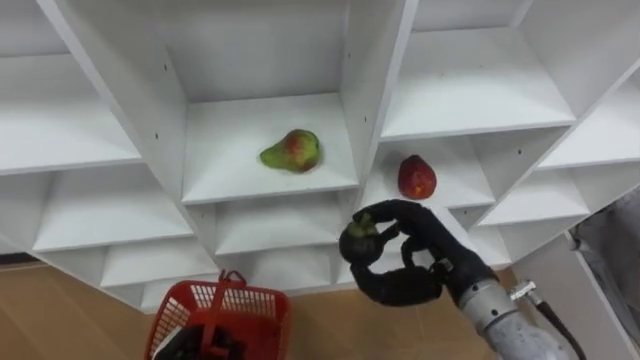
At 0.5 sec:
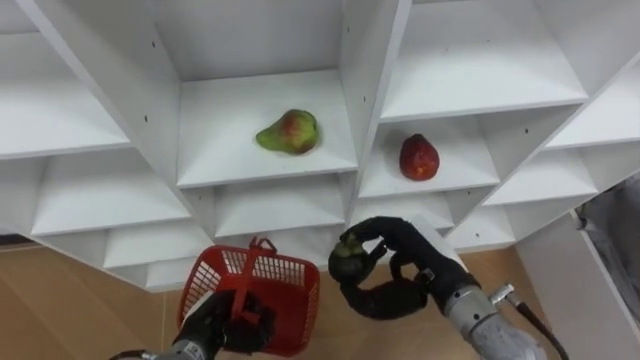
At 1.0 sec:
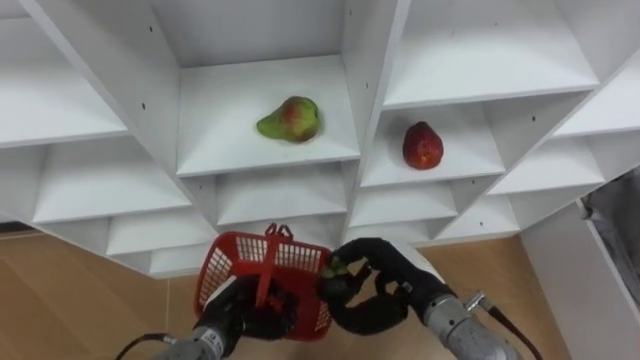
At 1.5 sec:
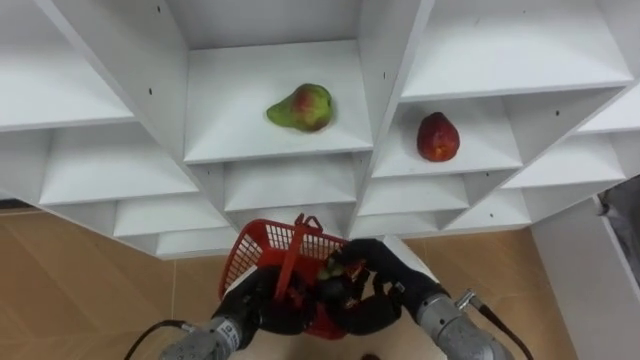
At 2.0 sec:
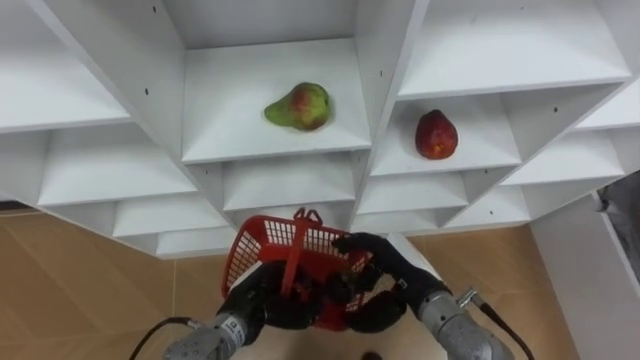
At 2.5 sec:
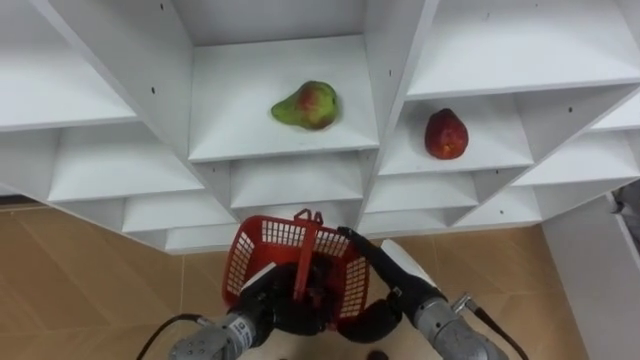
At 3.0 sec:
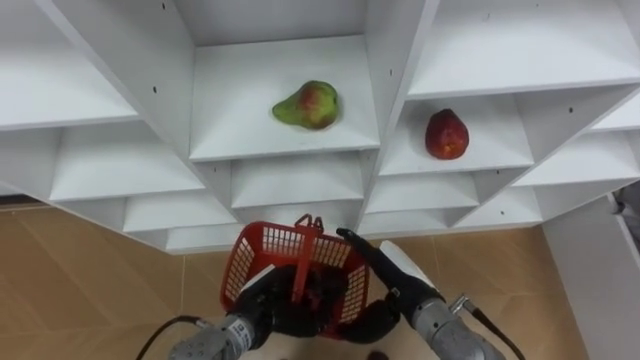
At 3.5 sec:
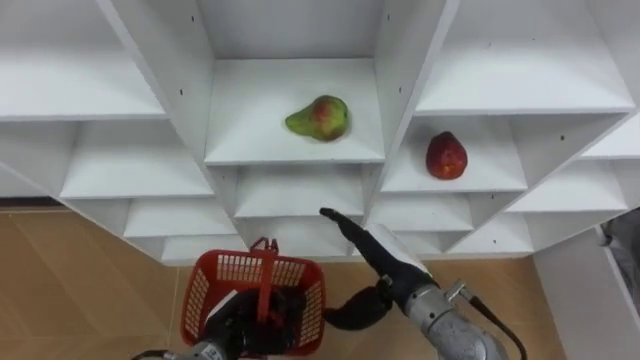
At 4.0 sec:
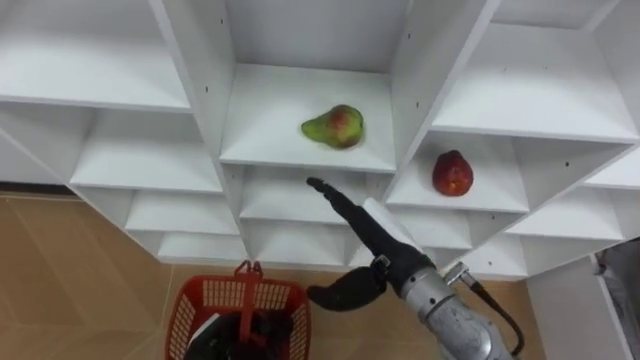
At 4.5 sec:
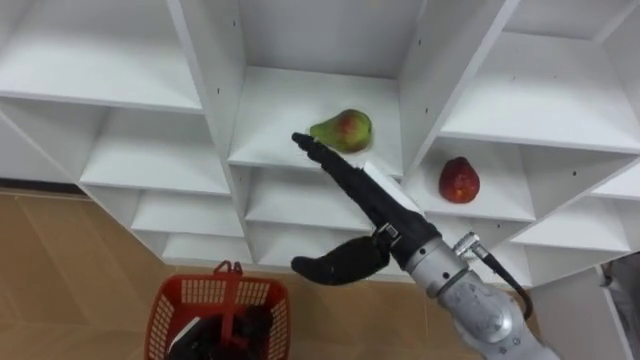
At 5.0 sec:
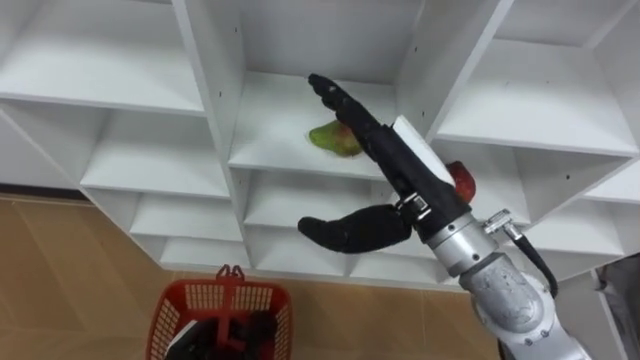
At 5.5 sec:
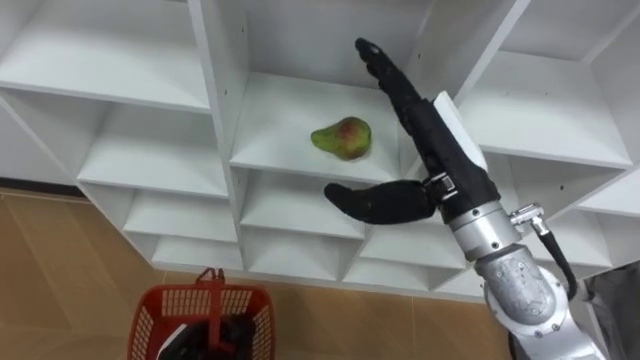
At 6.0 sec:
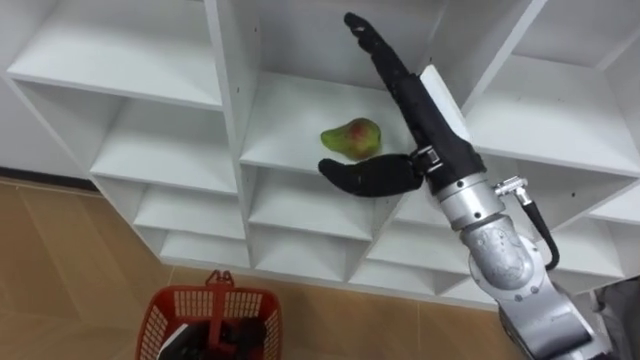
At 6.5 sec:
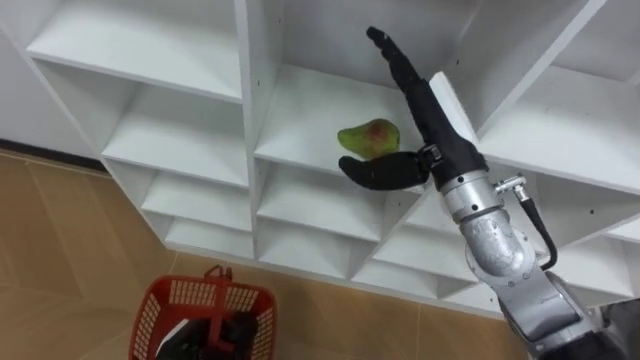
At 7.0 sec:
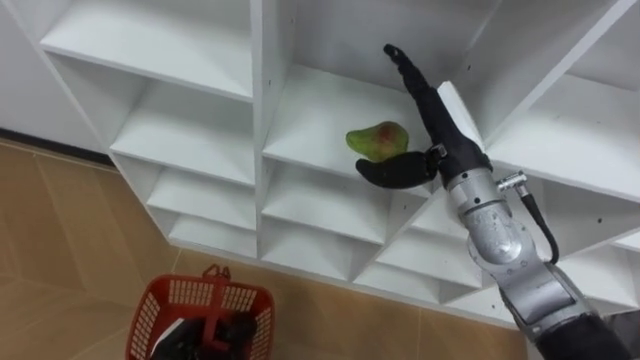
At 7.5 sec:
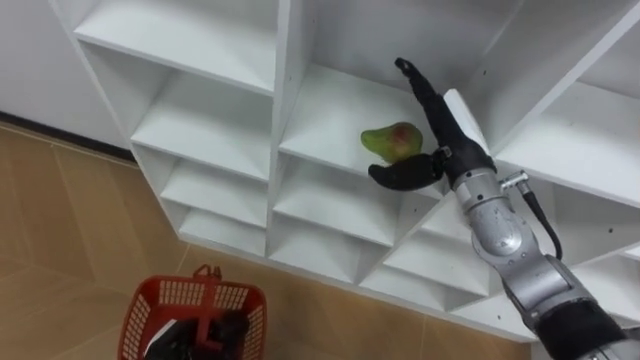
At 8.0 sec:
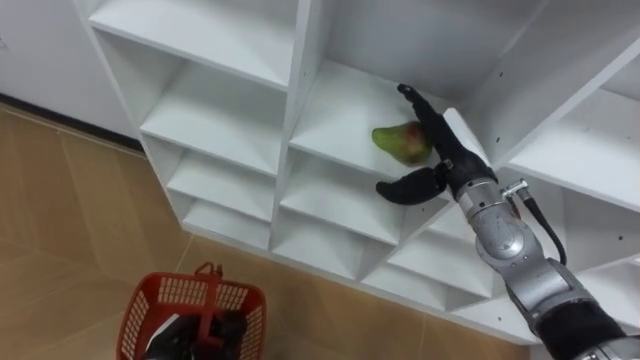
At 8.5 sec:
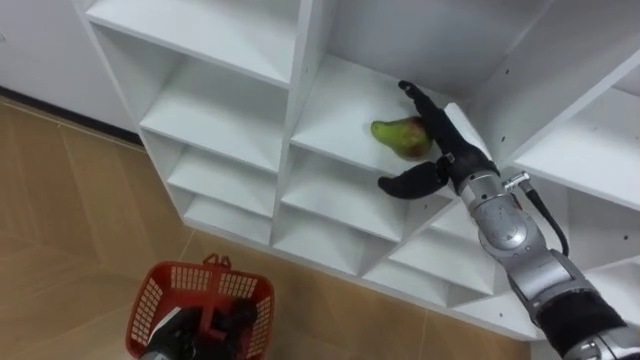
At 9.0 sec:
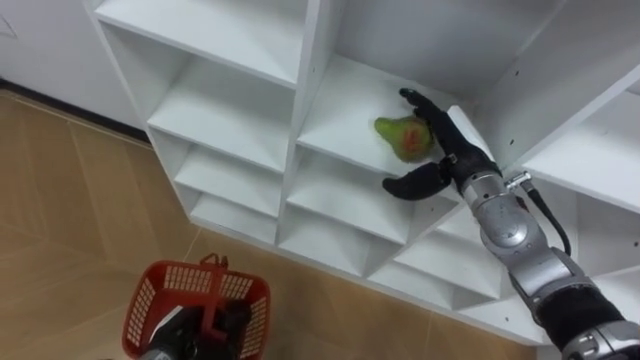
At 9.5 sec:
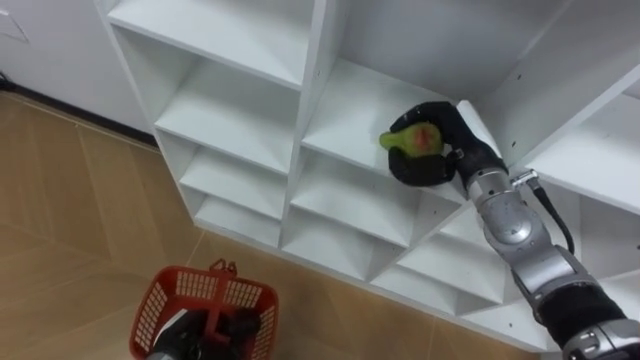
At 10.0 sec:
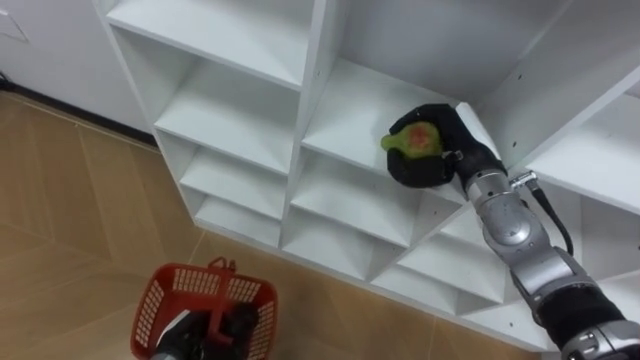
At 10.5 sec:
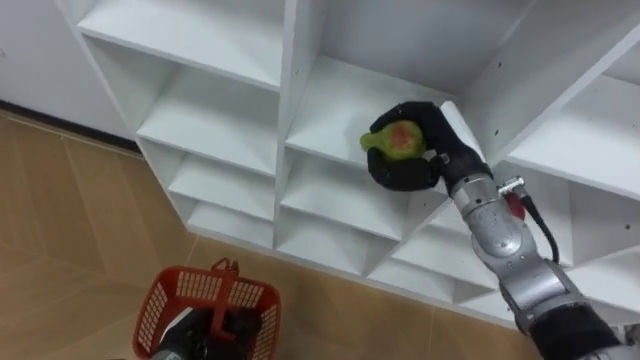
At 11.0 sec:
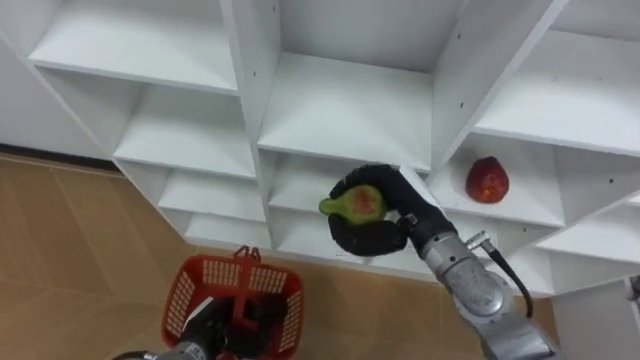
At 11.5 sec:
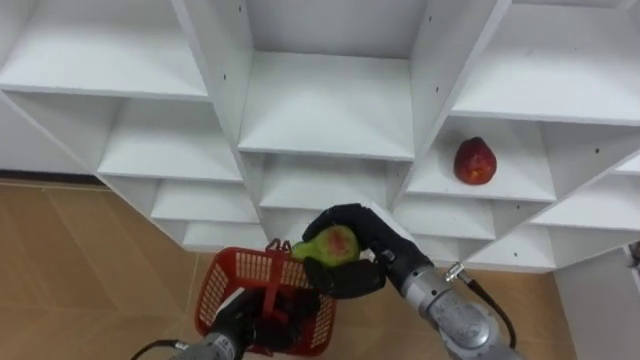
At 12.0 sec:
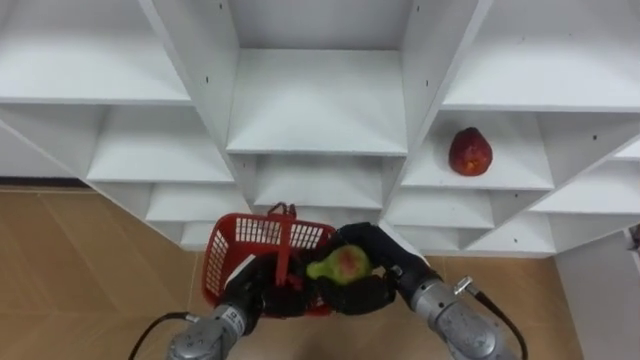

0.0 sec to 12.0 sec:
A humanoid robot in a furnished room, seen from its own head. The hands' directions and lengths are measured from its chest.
Task of the whole recording: Hold the basket and collect the fruits from 3 different cells of the closet into it.
0.0 sec to 2.0 sec: The right hand travels downward by roughly 5 cm.
2.0 sec to 4.0 sec: The right hand shifts some 5 cm upward, and opens its fingers. The left hand heads backward, to the left and downward, covering approximately 10 cm.
4.0 sec to 6.0 sec: The right hand heads upward, covering some 15 cm.
6.0 sec to 8.0 sec: The right hand is displaced downward, forward and to the right by about 15 cm.
8.0 sec to 10.0 sec: The right hand closes.
10.0 sec to 12.0 sec: The left hand travels to the right, forward and upward by roughly 15 cm; the right hand travels backward, to the left and downward by roughly 15 cm.

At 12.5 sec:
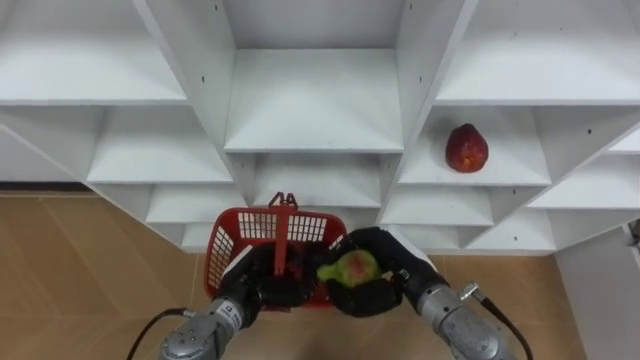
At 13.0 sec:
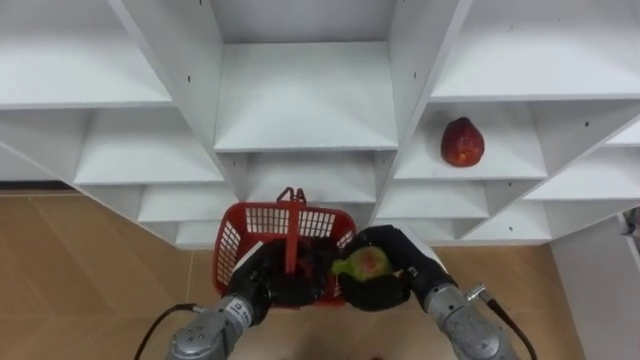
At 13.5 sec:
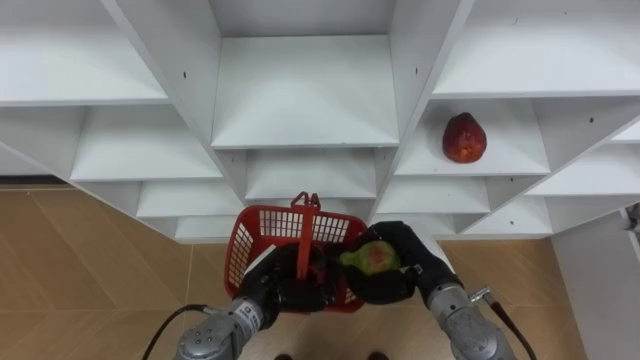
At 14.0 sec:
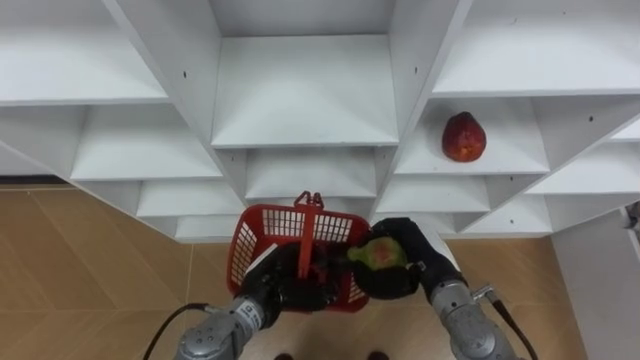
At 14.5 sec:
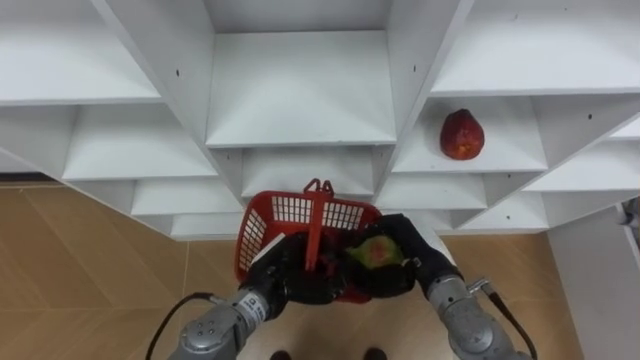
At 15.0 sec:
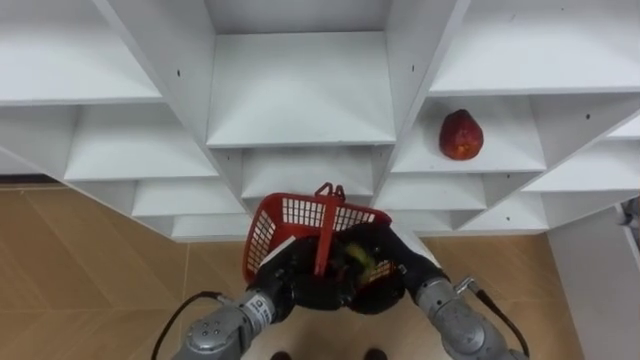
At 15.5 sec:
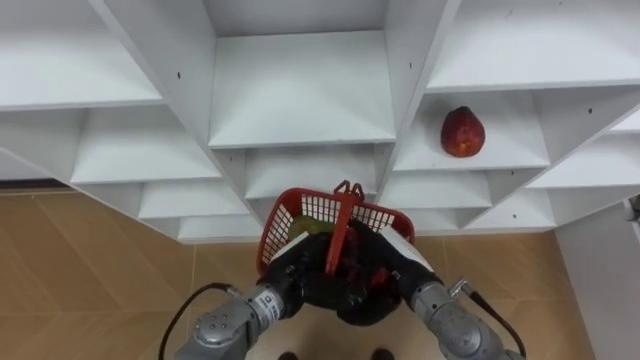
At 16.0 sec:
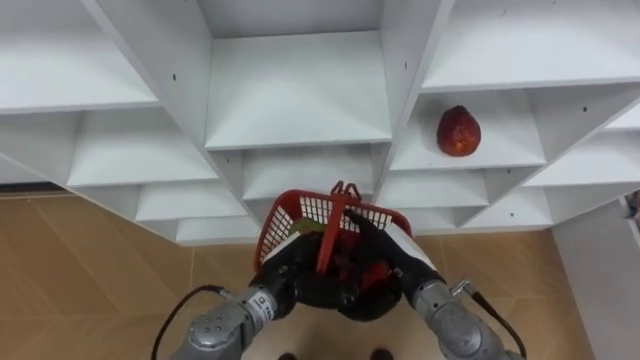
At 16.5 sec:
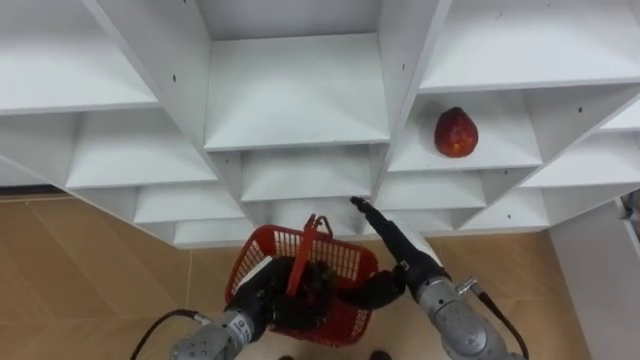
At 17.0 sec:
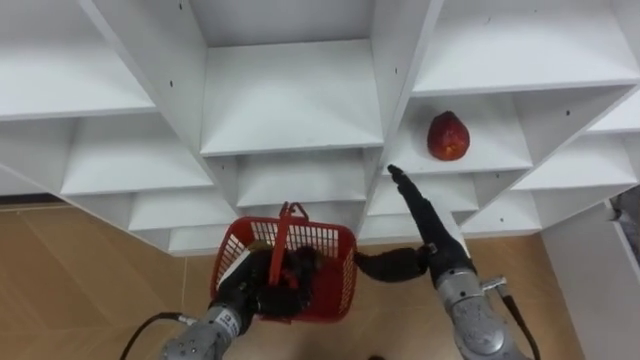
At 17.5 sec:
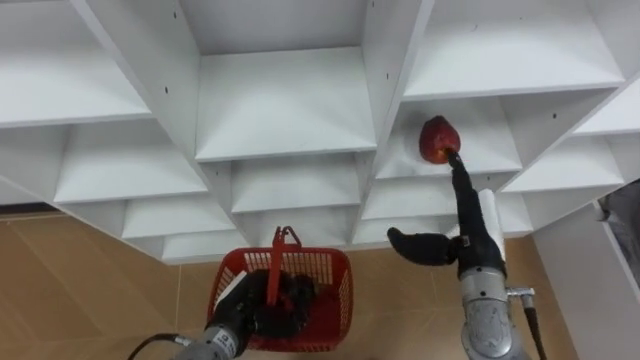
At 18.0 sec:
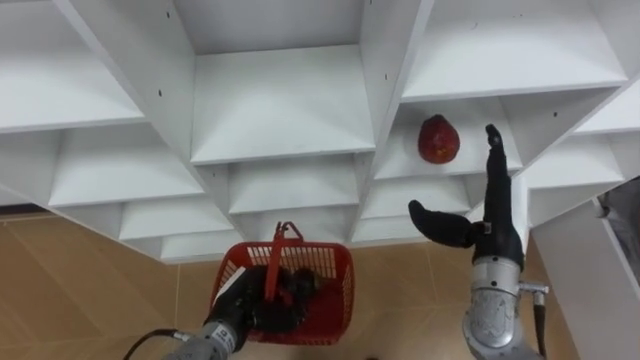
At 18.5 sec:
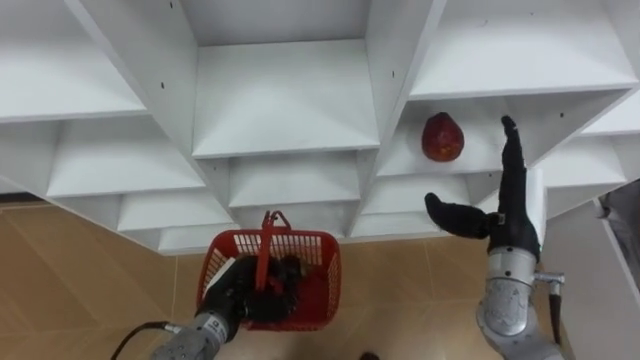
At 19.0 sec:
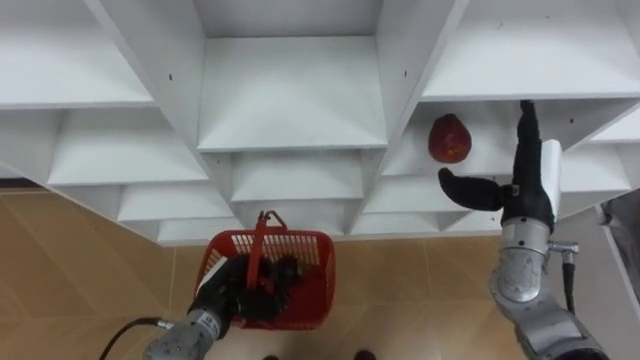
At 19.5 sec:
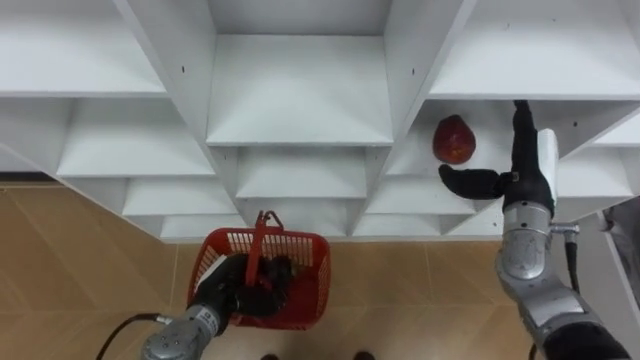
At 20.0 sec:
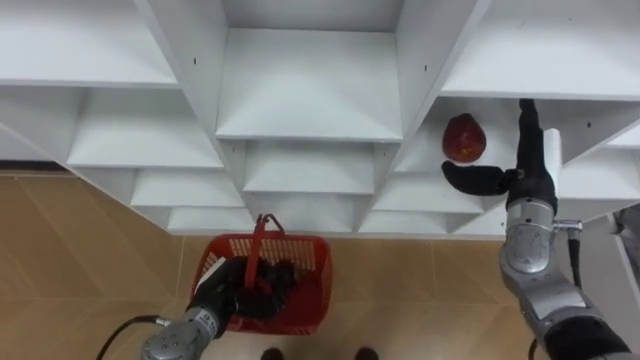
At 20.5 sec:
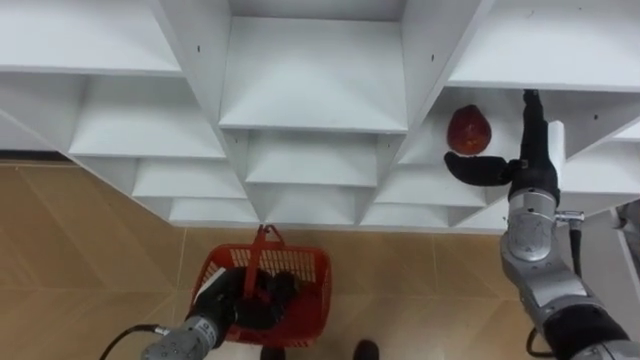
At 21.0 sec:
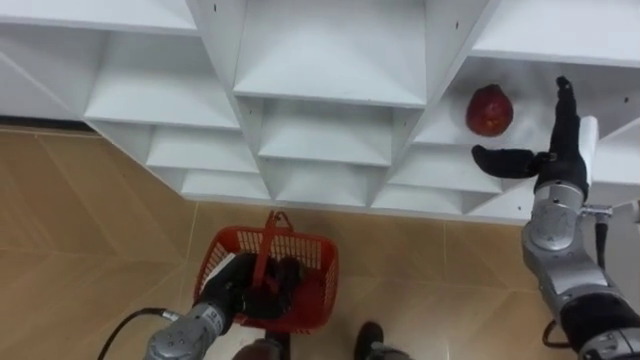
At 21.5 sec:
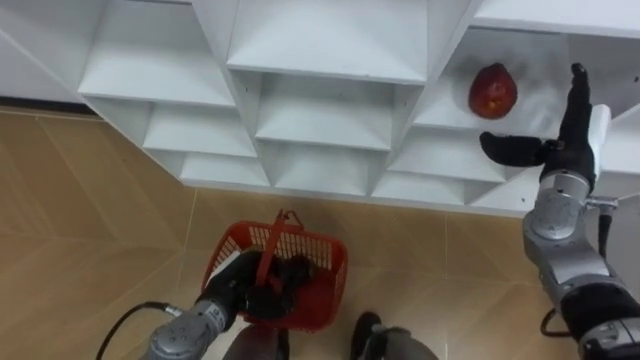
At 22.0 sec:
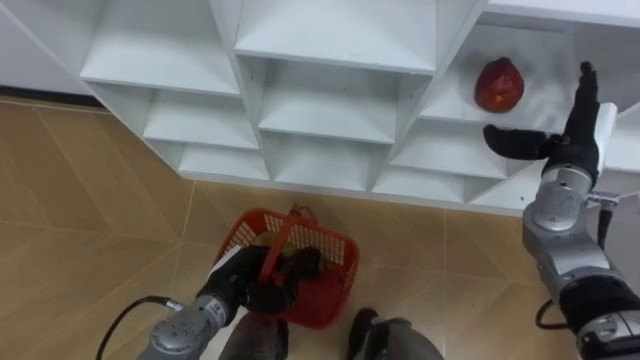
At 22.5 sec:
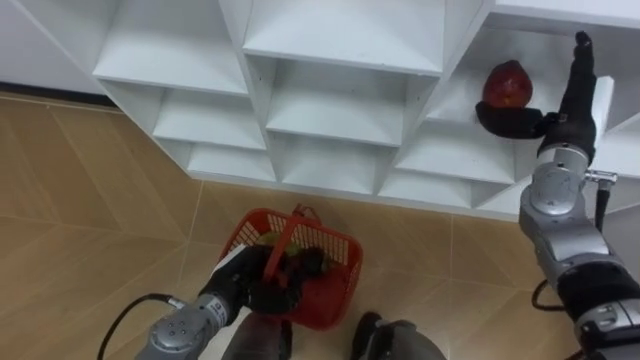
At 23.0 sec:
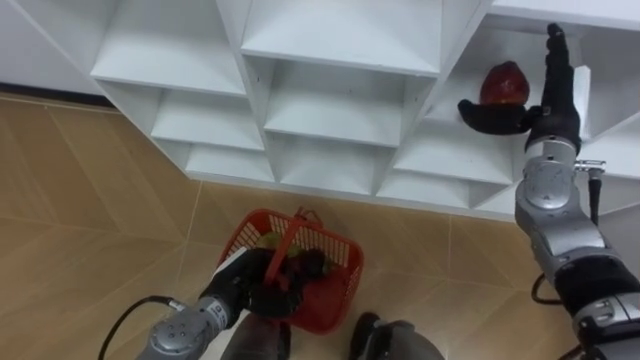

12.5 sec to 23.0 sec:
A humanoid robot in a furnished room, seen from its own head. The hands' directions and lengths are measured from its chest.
Task of the whole recording: Hold the basket and collect the fruits from 3 different cells of the closet into it.
12.5 sec to 14.5 sec: The left hand changes place by approximately 5 cm.
14.5 sec to 16.5 sec: The right hand opens its fingers.
16.5 sec to 19.0 sec: The right hand travels to the right and upward by about 15 cm, while the left hand moves to the left, roughly 5 cm.
19.0 sec to 21.0 sec: The right hand changes place by some 5 cm.
21.0 sec to 23.0 sec: The right hand ends up some 5 cm from where it was.
